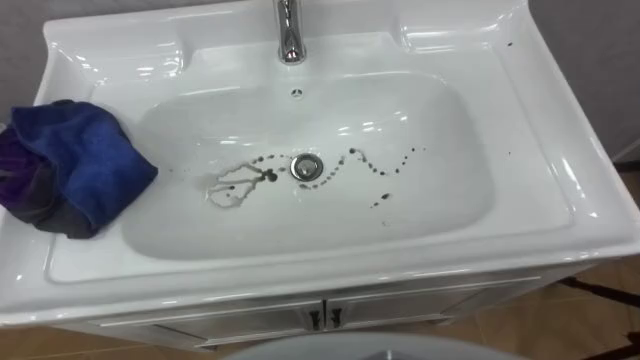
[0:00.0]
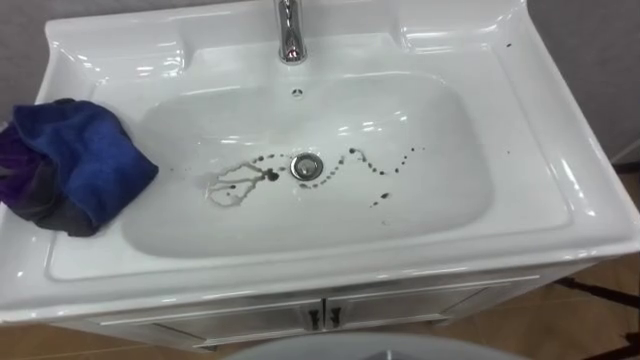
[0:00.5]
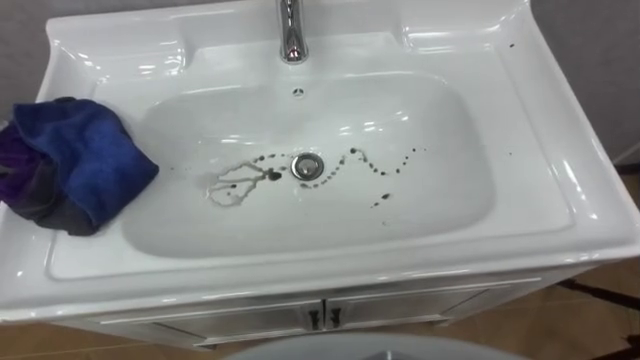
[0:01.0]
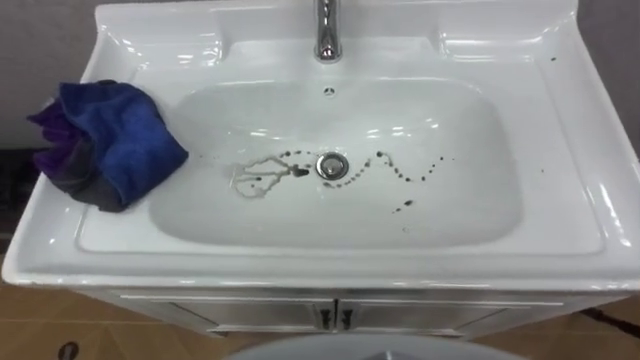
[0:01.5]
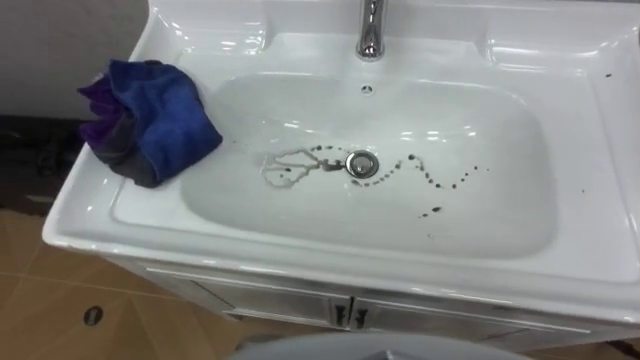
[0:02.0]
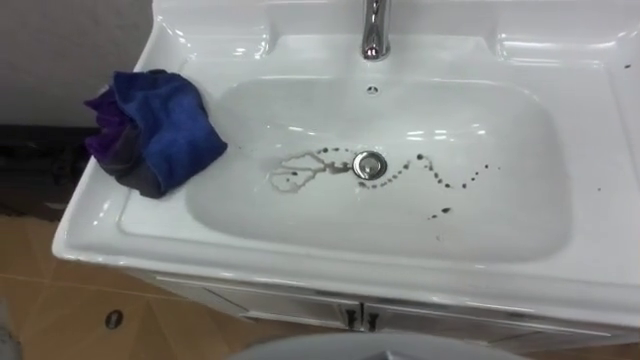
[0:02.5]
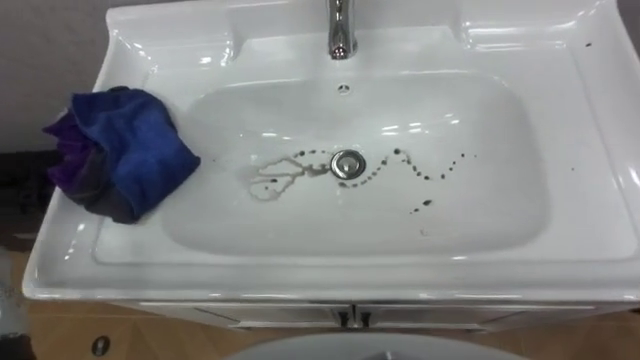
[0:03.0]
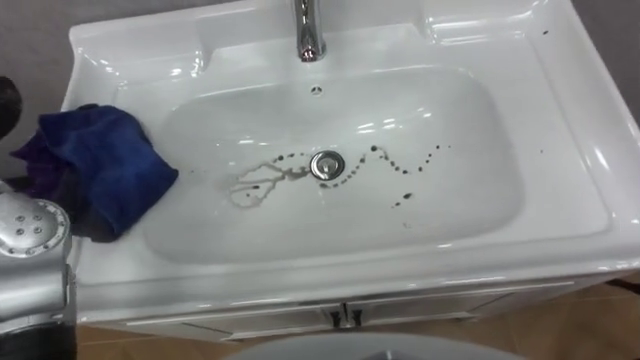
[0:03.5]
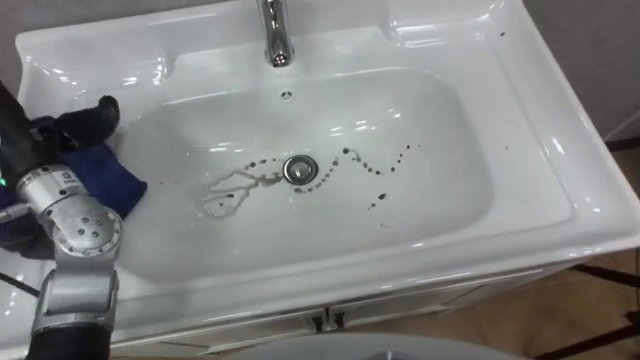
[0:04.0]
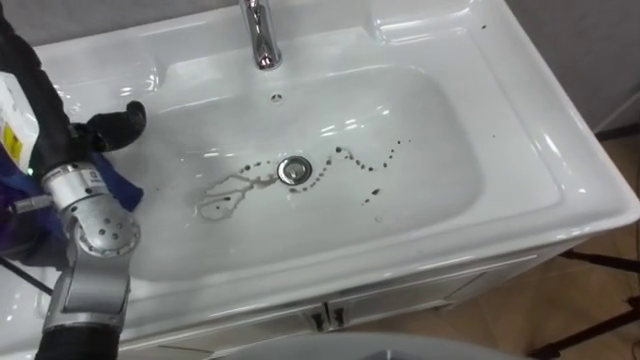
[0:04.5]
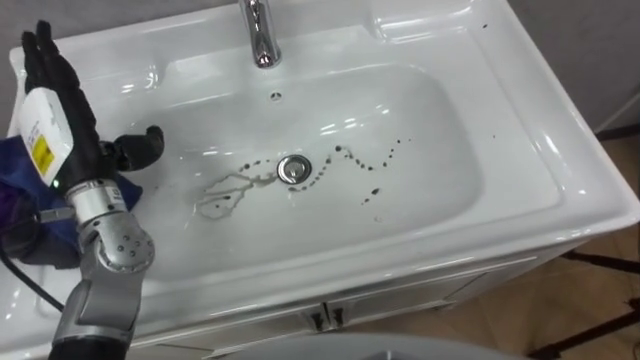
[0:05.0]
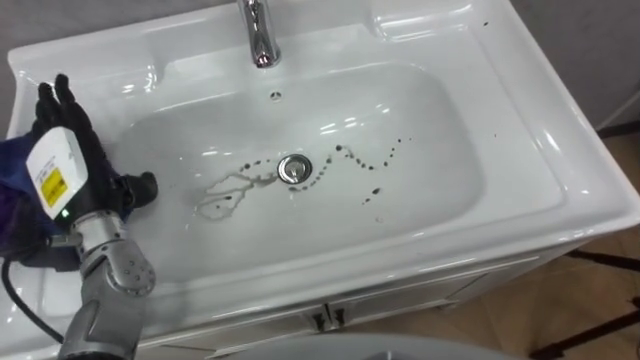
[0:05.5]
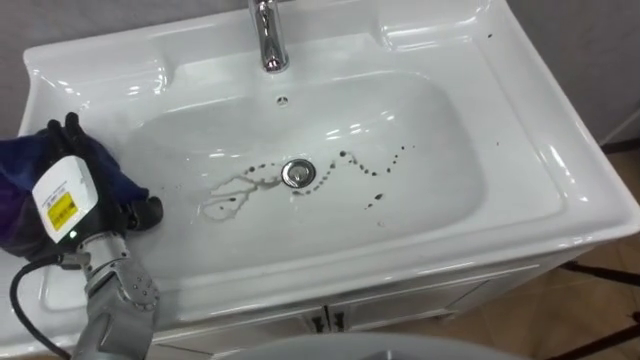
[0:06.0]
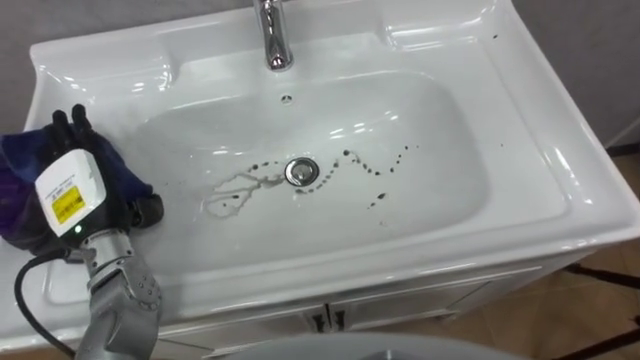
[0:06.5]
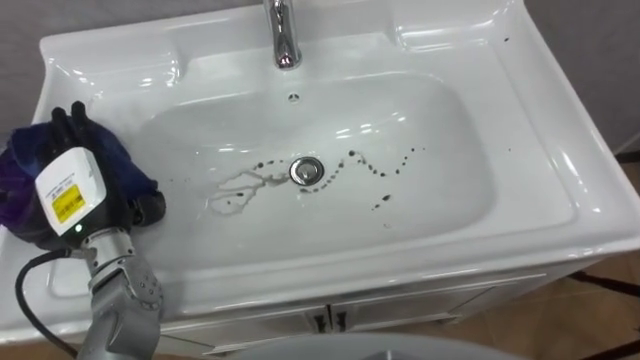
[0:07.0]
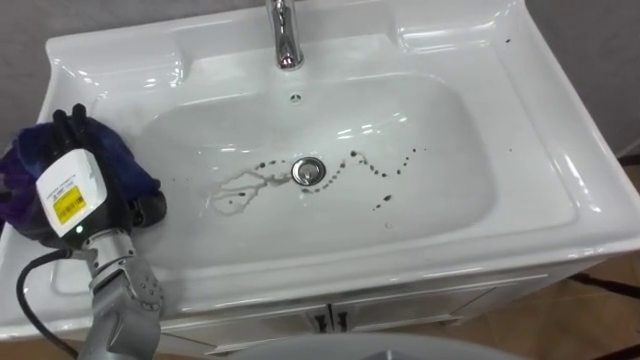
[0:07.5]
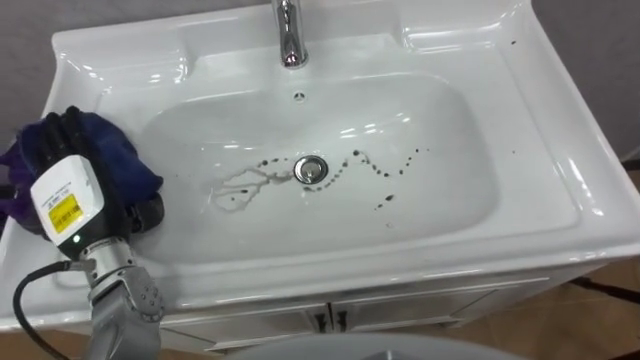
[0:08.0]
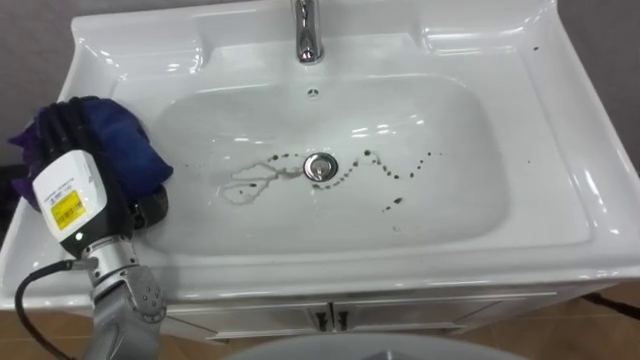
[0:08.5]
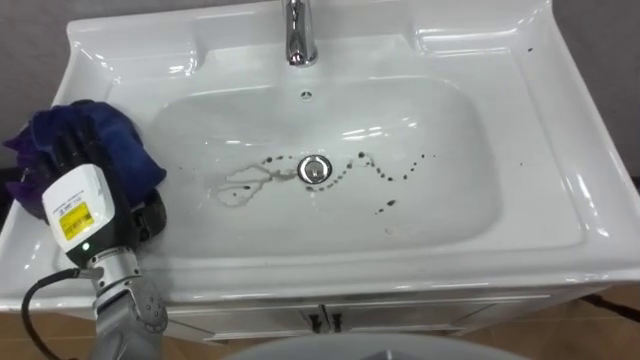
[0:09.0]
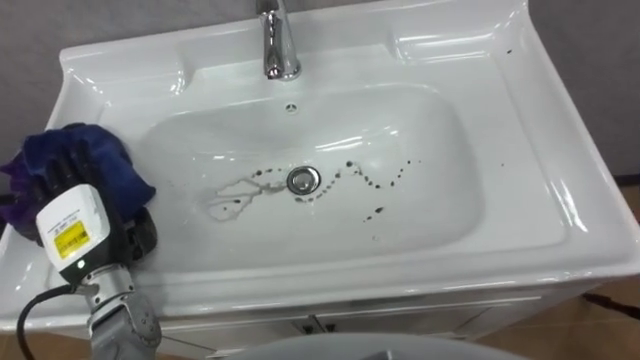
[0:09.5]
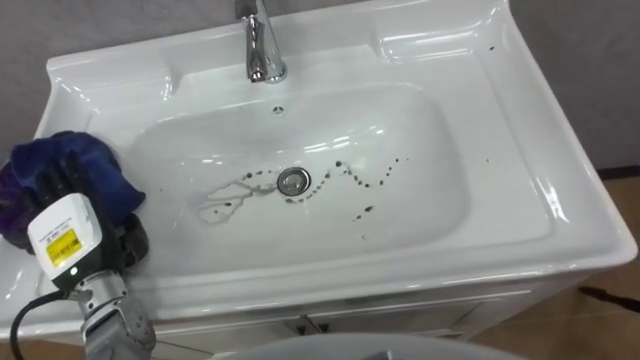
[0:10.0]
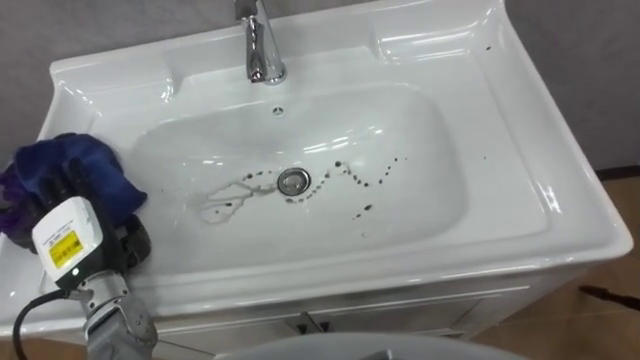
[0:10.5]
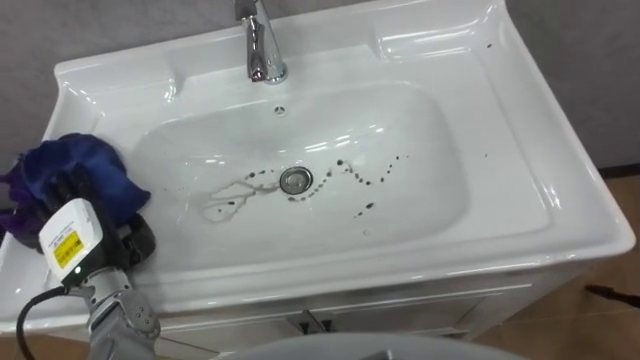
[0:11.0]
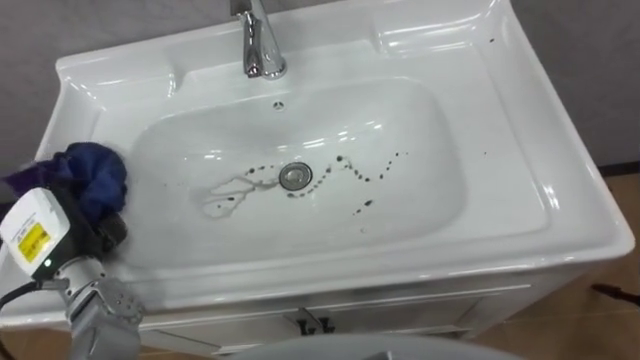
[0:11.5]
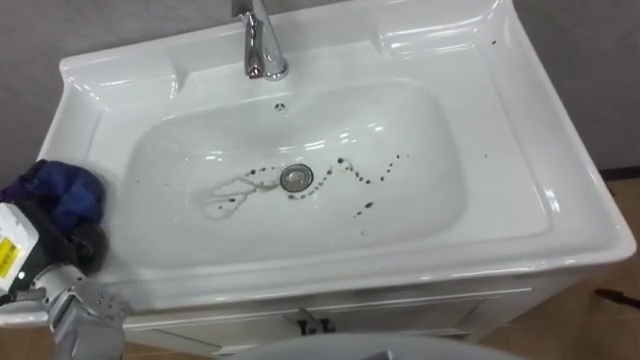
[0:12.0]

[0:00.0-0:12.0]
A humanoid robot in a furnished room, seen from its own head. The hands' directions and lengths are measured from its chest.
Task of the whole recording: Use the cloth on the right to wipe away the black stain in the sink.
0:08.0 to 0:10.0: The left hand ends up approximately 5 cm from where it was.
0:10.0 to 0:12.0: The left hand travels to the left by about 5 cm, and closes.

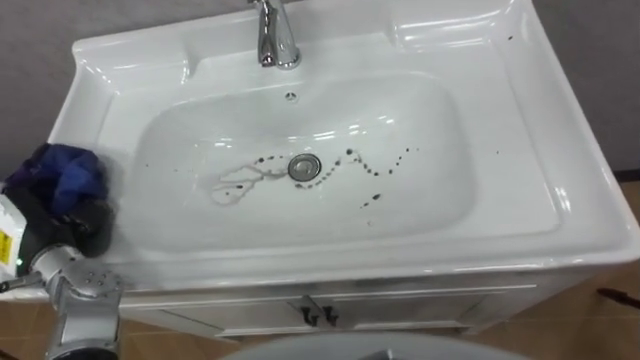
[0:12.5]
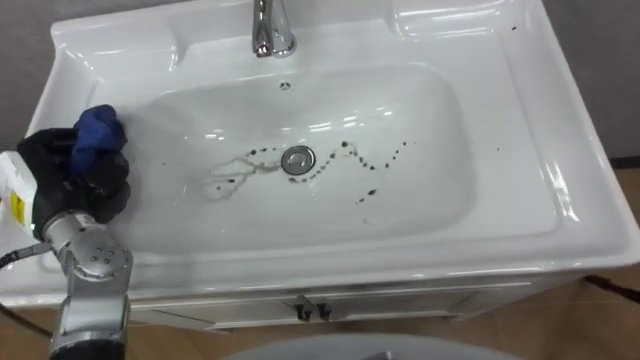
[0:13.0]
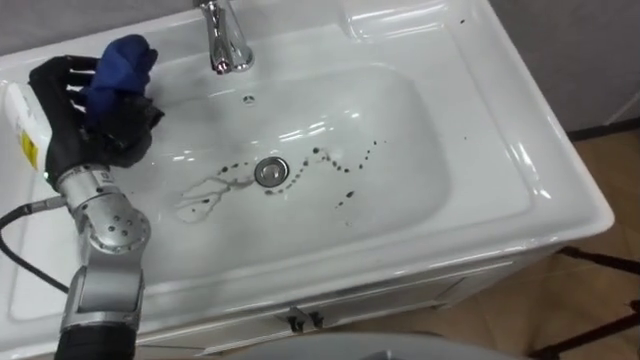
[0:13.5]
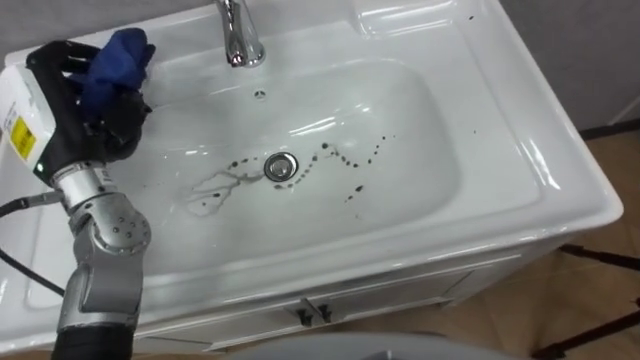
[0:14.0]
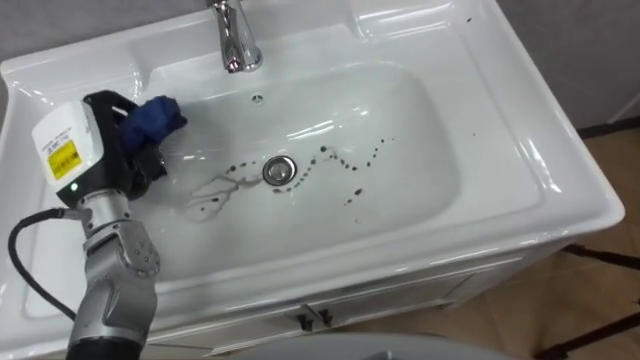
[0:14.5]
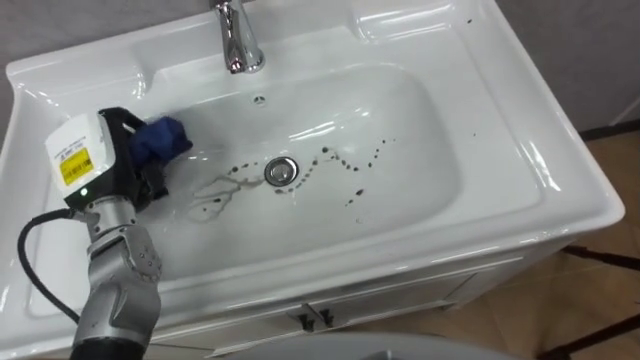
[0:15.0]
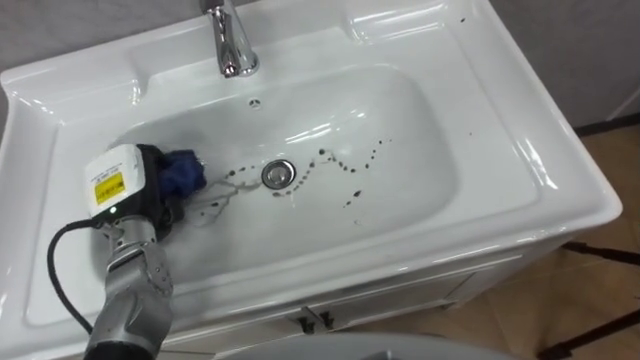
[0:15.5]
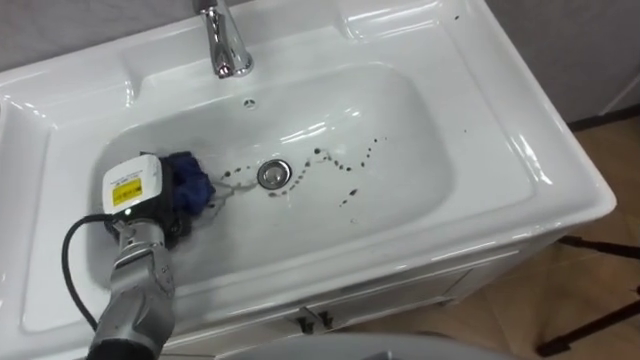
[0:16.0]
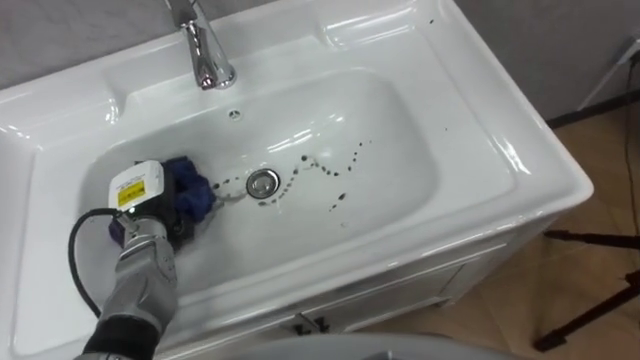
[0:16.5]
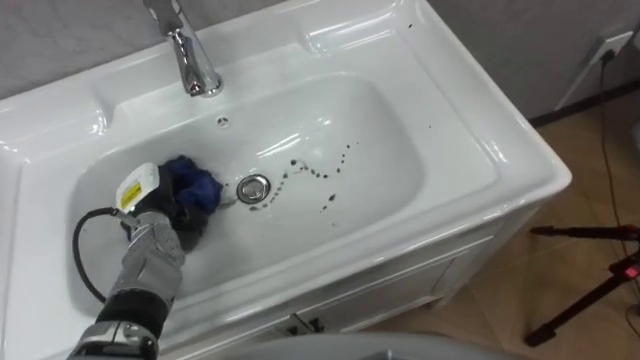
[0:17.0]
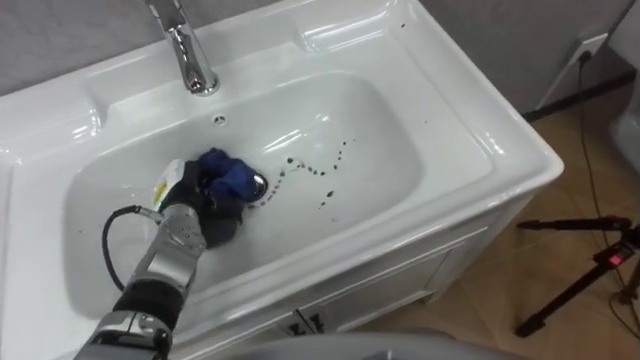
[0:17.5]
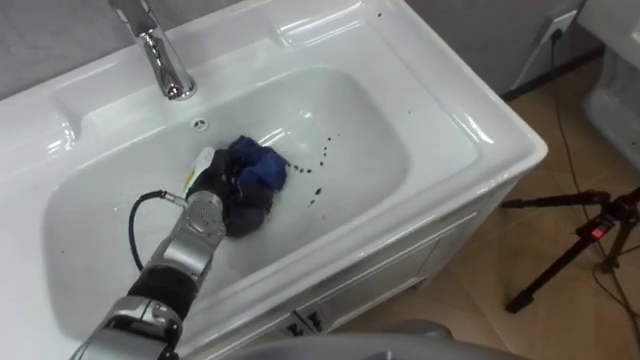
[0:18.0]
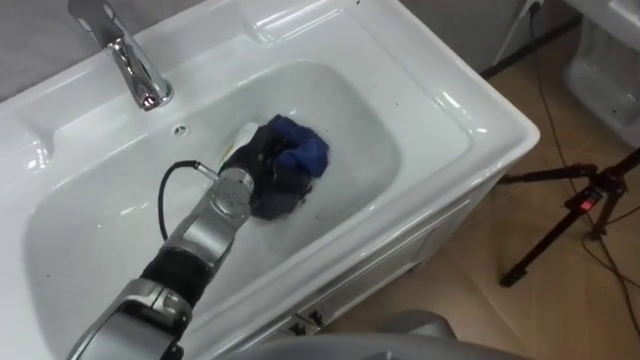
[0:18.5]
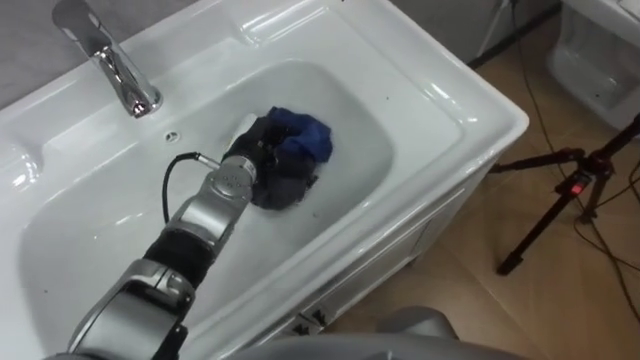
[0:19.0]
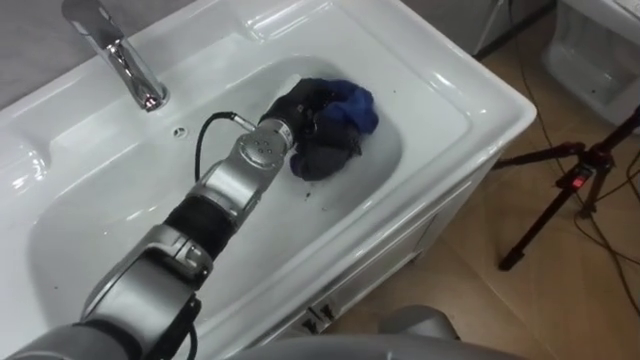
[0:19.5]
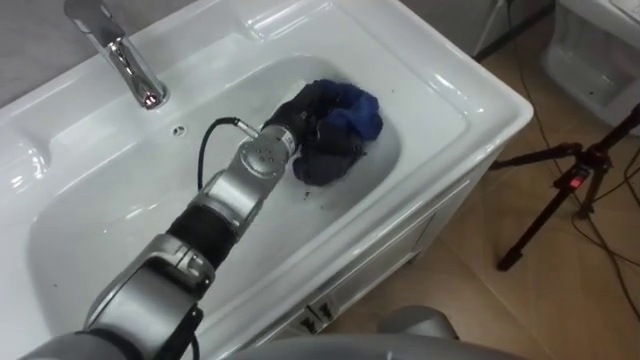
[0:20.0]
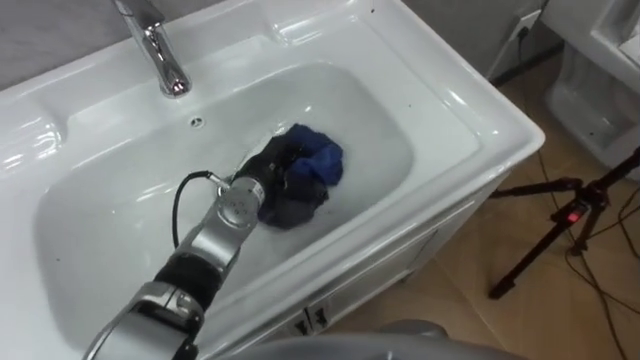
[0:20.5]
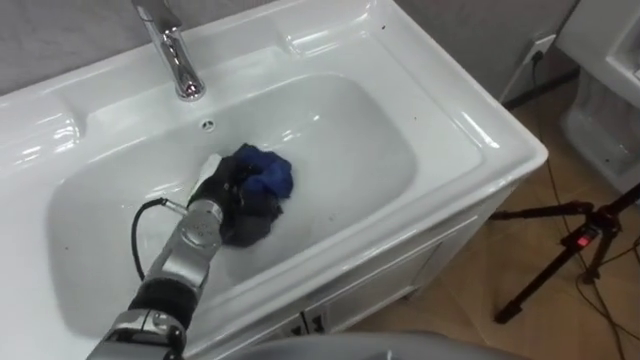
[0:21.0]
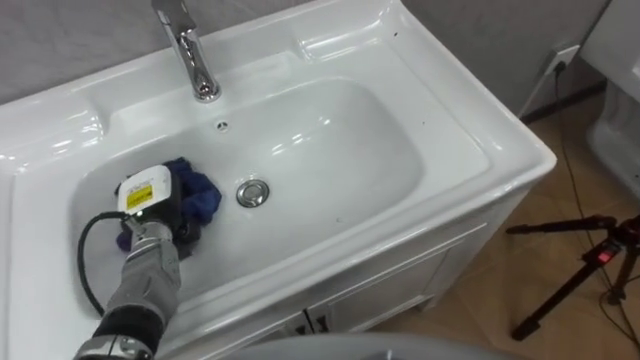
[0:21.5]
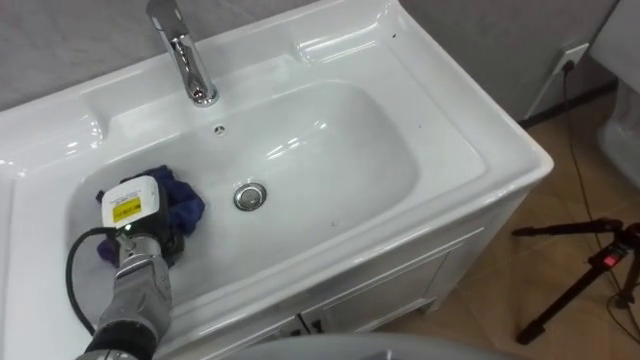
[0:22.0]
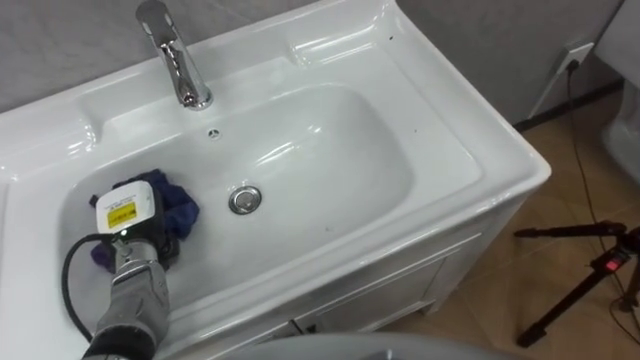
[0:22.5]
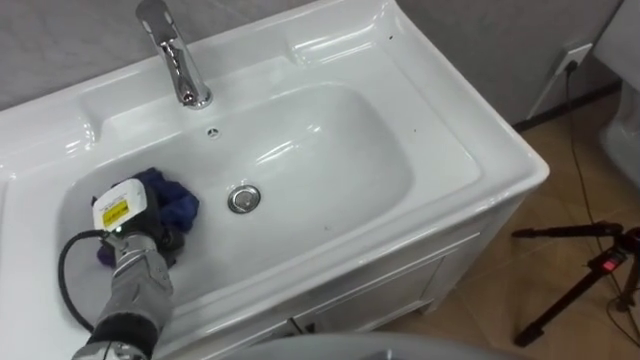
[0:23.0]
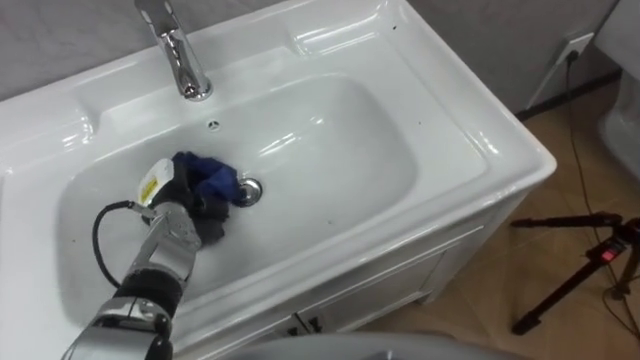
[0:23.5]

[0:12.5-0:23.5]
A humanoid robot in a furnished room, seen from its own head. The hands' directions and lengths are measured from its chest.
Task of the whole recording: Use the cloth on the right to wipe away the black stain in the sink.
0:12.5 to 0:14.5: The left hand shifts approximately 15 cm to the right, upward and forward.
0:14.5 to 0:16.0: The left hand travels downward by some 10 cm.
0:16.0 to 0:18.0: The left hand goes roughly 10 cm to the right and downward.
0:18.0 to 0:20.0: The left hand travels to the right, upward and forward by approximately 15 cm.
0:20.0 to 0:21.5: The left hand is displaced to the left, backward and downward by approximately 25 cm.
